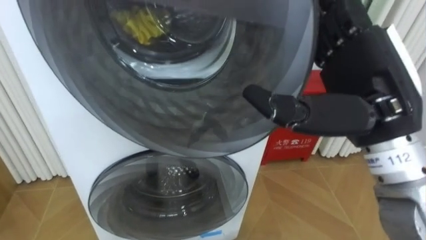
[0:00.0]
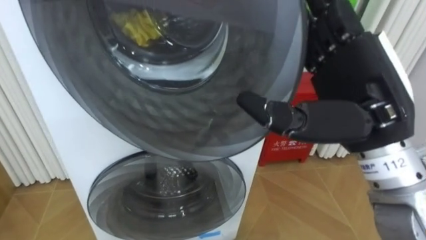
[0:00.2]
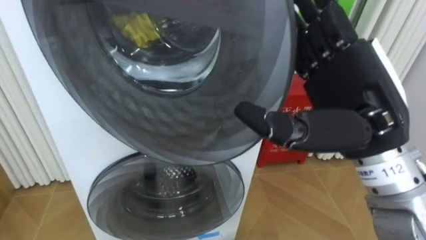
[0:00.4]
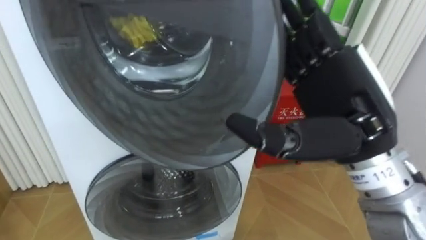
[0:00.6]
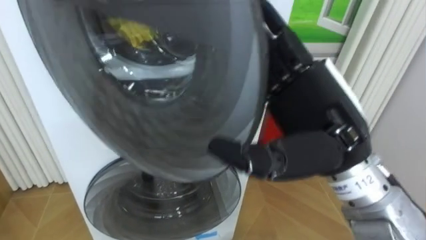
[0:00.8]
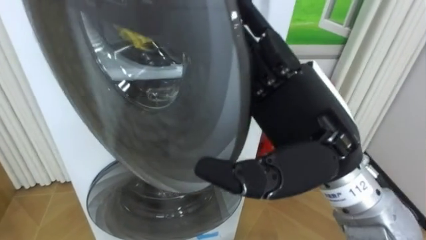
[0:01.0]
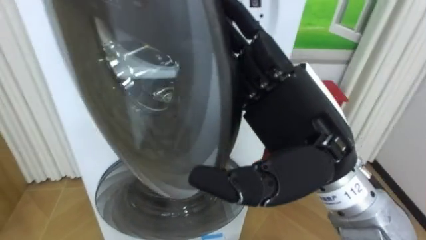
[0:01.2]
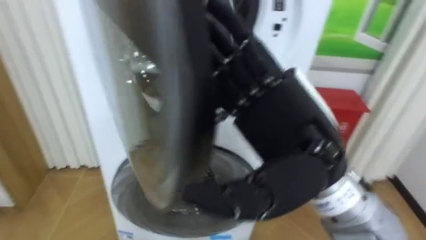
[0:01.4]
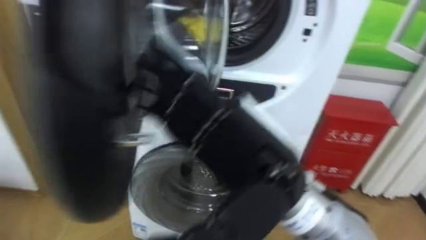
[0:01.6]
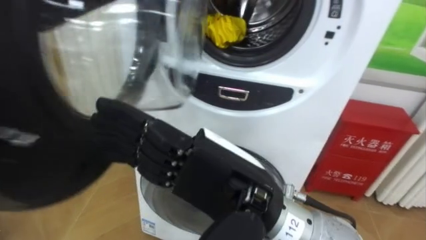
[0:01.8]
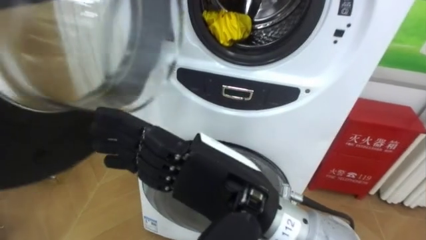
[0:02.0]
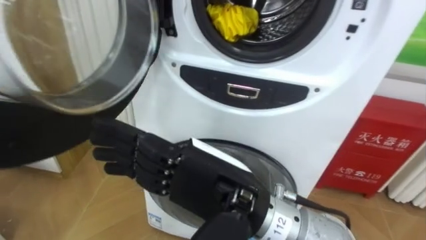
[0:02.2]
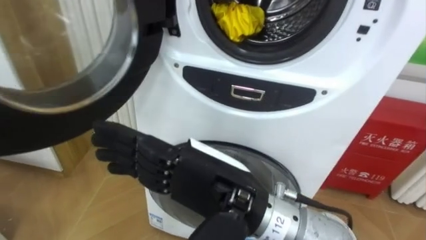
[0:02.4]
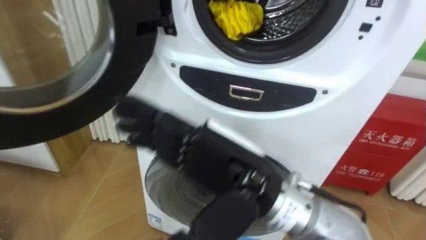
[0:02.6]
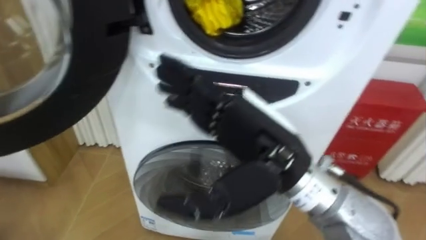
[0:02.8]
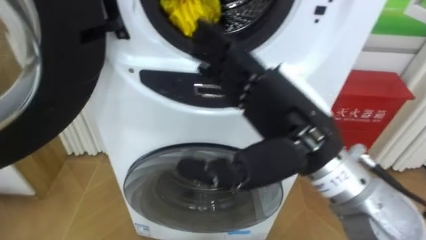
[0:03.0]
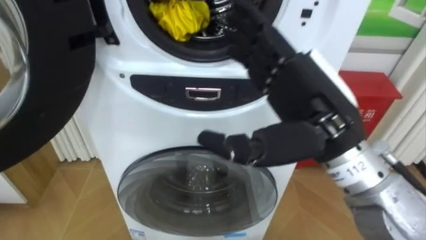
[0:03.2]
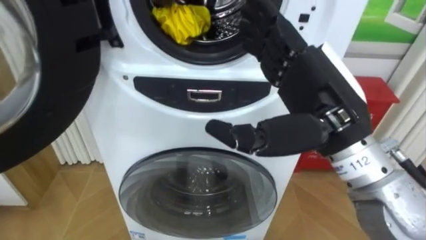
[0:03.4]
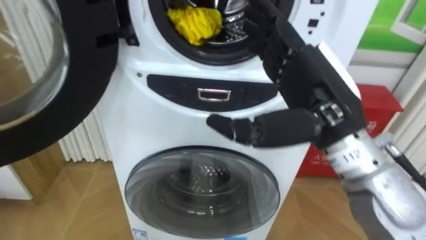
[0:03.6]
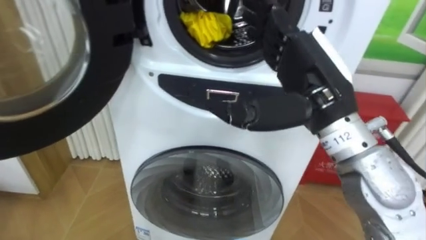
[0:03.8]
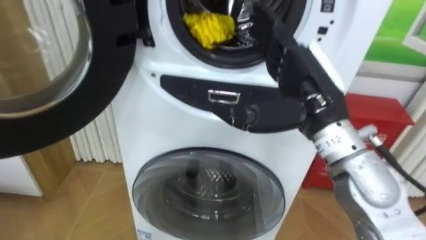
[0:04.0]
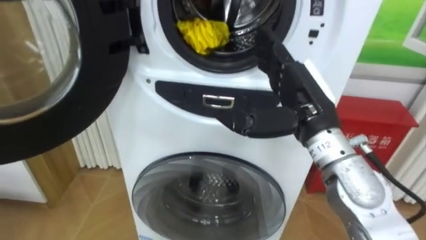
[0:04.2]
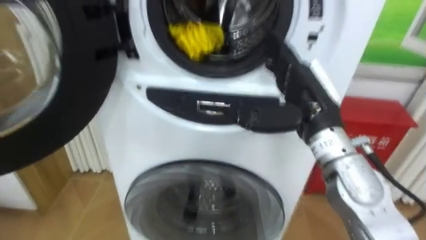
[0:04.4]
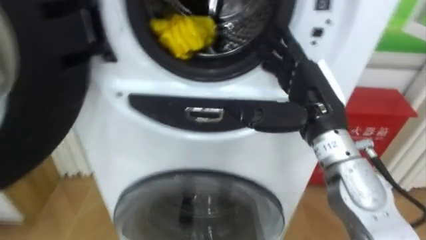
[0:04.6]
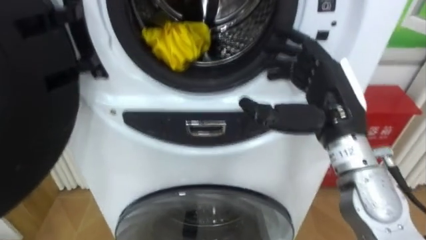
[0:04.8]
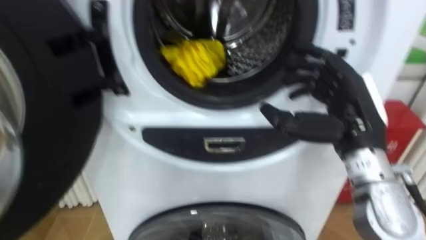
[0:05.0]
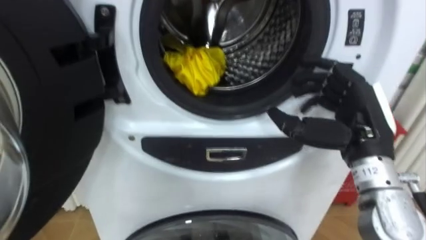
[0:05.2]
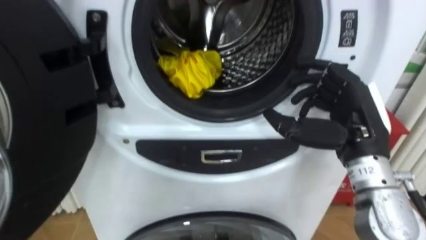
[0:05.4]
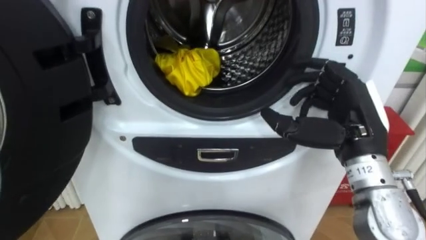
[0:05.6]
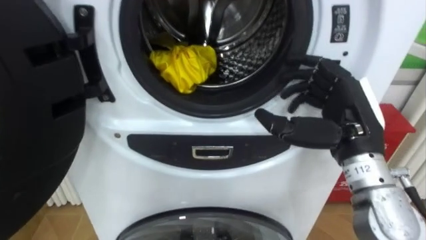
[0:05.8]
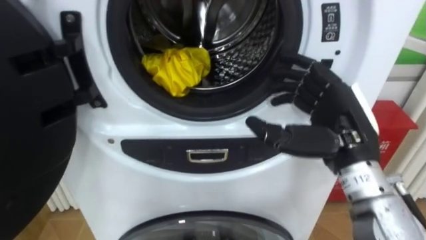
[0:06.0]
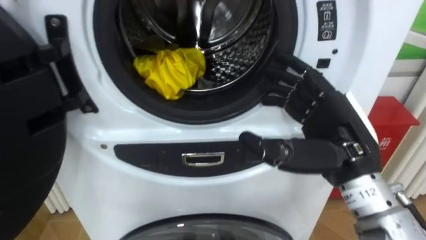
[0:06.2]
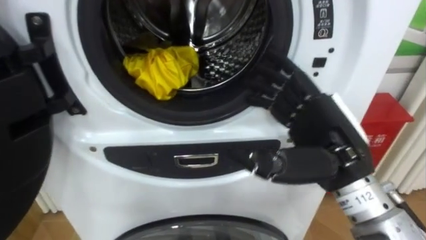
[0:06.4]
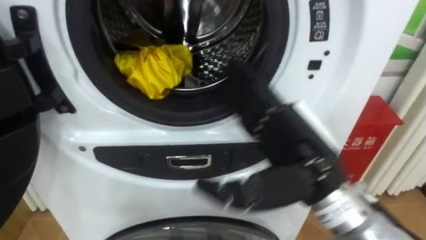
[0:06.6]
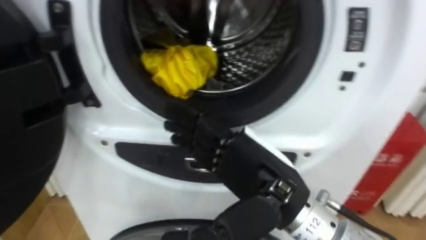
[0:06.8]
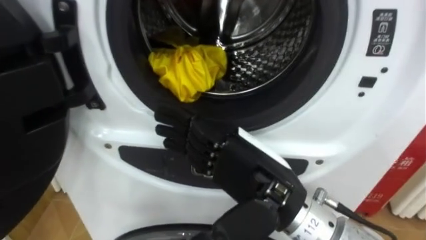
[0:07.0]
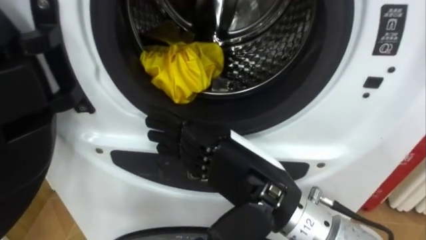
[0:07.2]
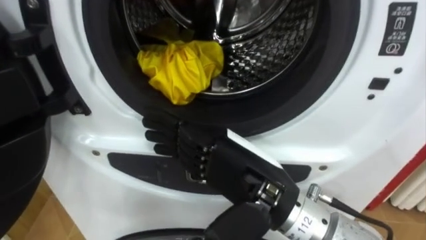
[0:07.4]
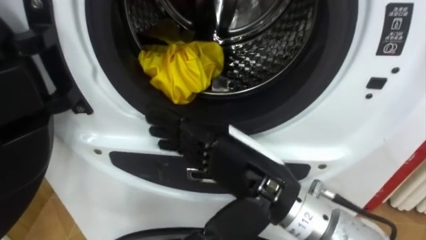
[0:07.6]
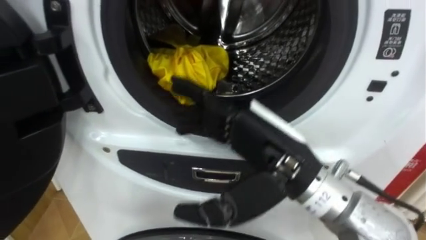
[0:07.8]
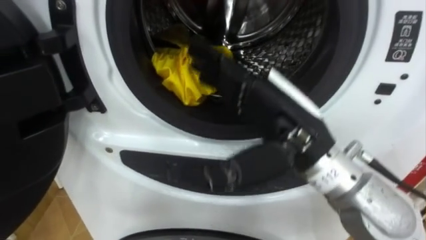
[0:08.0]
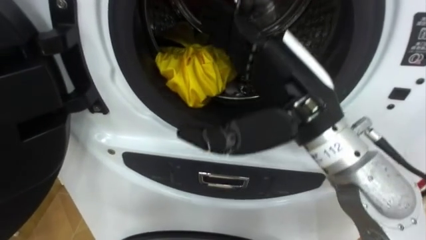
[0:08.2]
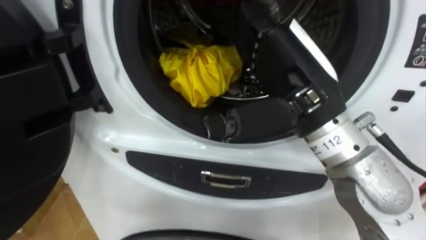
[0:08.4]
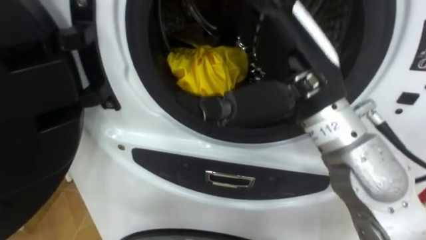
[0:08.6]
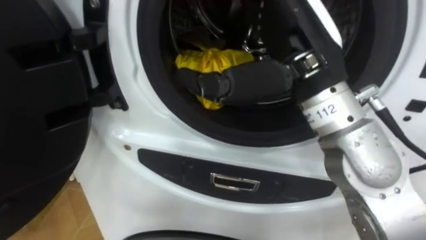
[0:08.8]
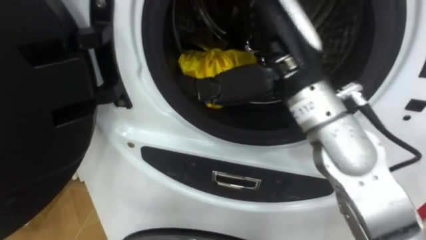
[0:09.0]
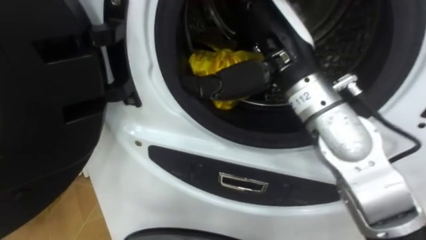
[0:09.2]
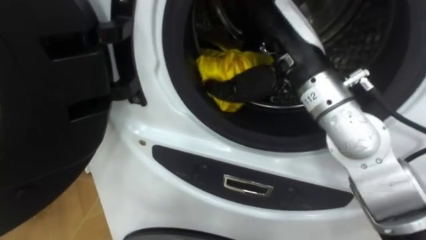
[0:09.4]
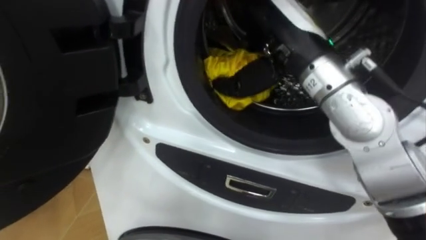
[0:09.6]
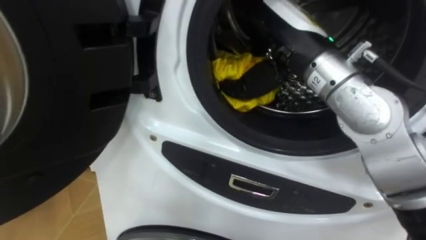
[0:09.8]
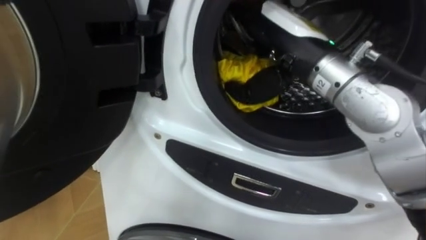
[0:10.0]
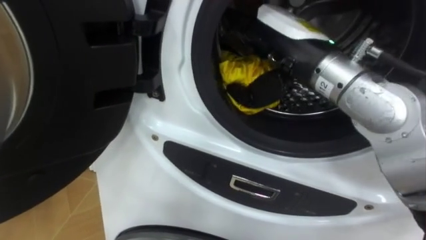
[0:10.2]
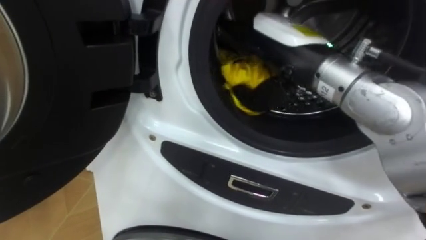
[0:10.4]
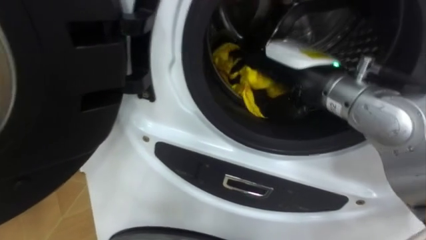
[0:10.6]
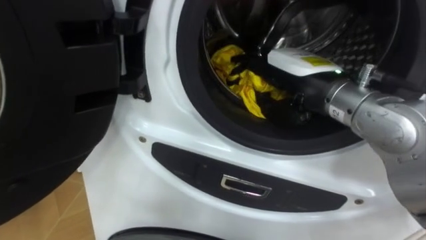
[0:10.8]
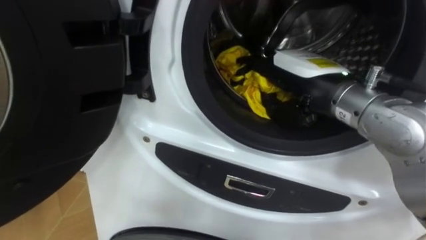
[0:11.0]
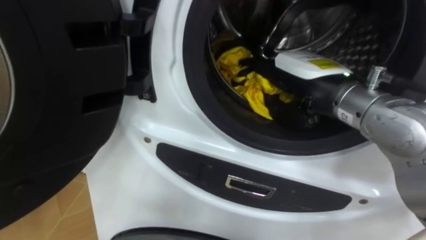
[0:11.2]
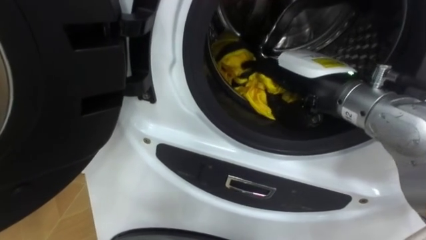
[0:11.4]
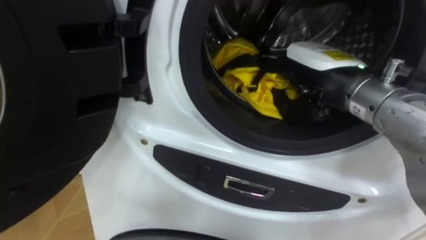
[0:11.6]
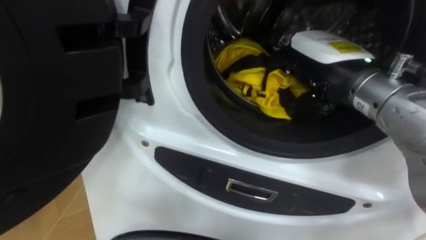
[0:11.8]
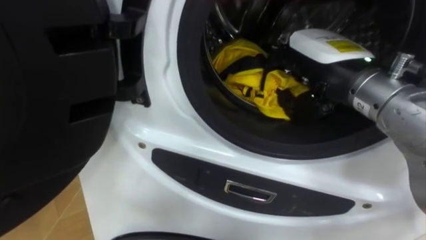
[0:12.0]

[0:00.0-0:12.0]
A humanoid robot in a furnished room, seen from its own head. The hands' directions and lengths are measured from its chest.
Task of the whole recording: Open the washing machine door, take out the yellow clothes, place them in the box on the right, and close the washing machine door.
0:00.0 to 0:01.6: The right hand is displaced to the left by approximately 10 cm.
0:03.0 to 0:04.4: The right hand shifts some 10 cm forward and to the right.
0:04.4 to 0:06.0: The right hand changes place by some 5 cm.
0:06.0 to 0:07.6: The right hand moves to the left and backward, some 15 cm.
0:07.6 to 0:09.0: The right hand moves upward and forward, roughly 15 cm.
0:10.4 to 0:12.0: The right hand goes approximately 5 cm to the right, and closes its fingers.

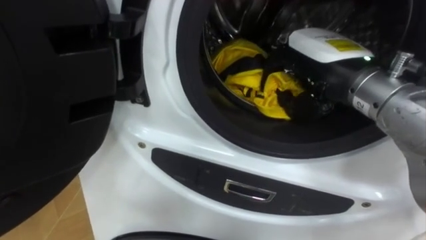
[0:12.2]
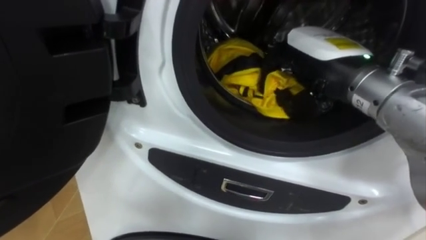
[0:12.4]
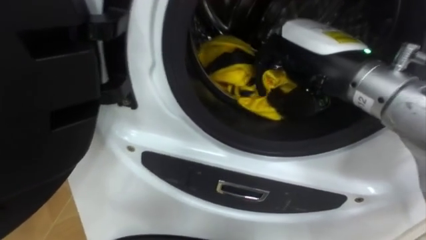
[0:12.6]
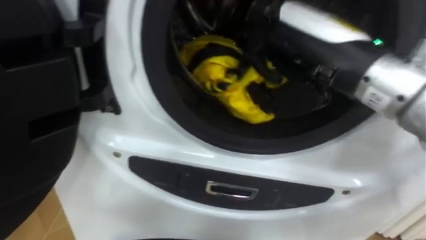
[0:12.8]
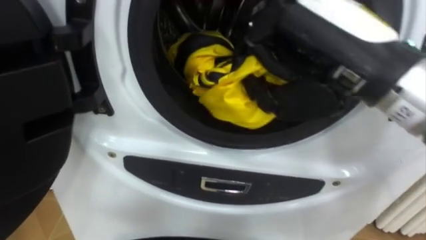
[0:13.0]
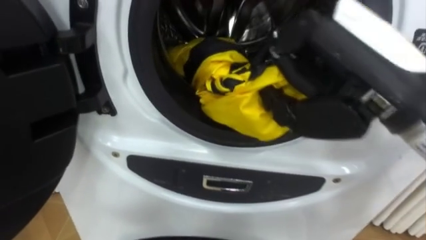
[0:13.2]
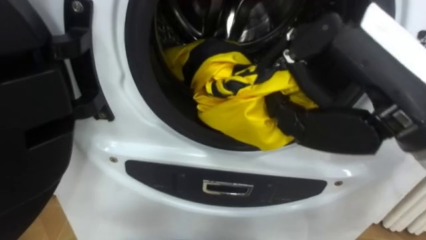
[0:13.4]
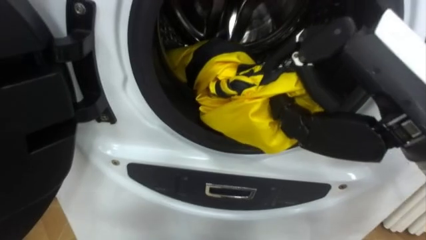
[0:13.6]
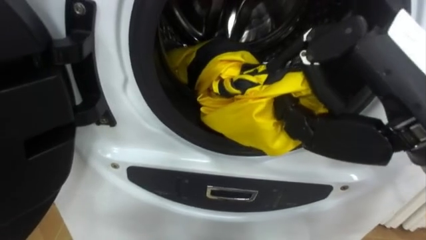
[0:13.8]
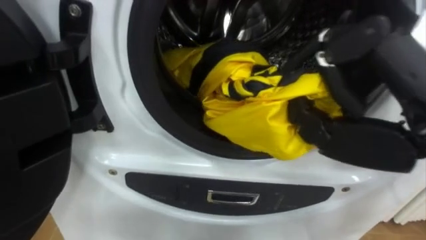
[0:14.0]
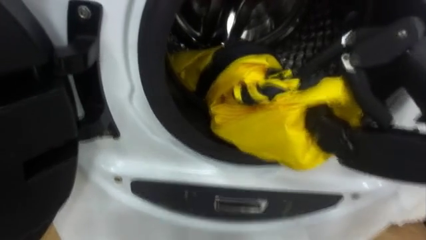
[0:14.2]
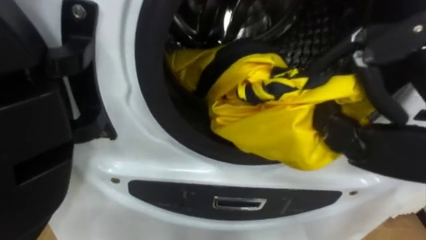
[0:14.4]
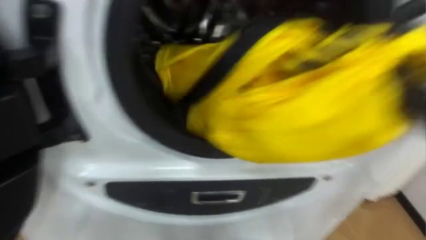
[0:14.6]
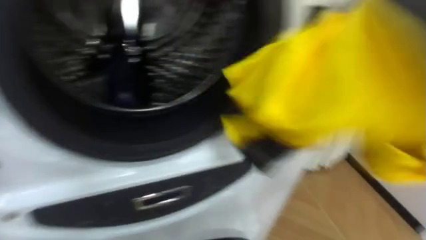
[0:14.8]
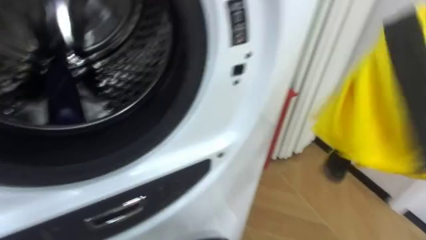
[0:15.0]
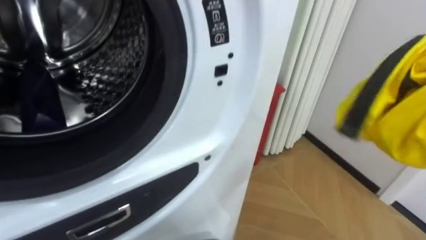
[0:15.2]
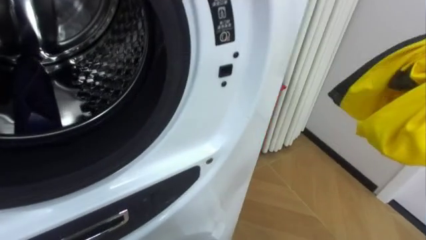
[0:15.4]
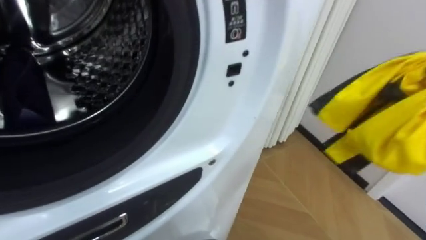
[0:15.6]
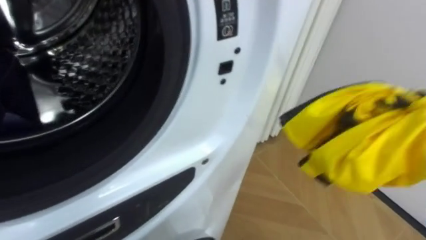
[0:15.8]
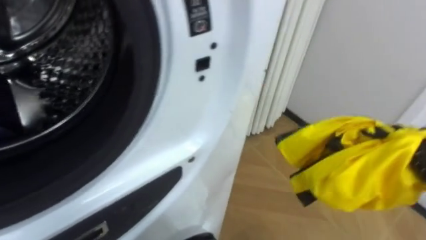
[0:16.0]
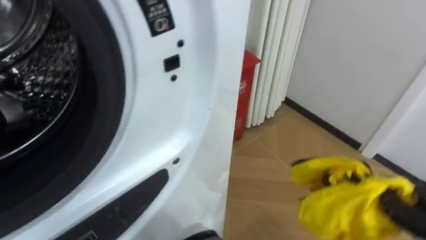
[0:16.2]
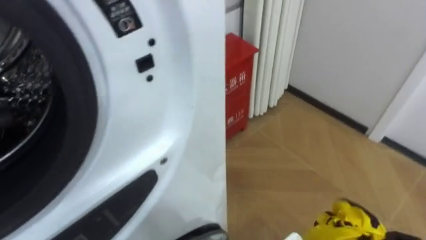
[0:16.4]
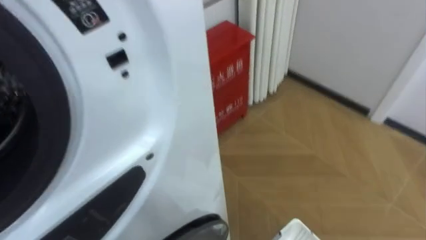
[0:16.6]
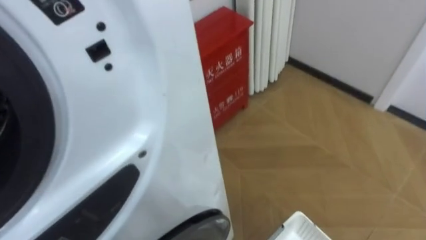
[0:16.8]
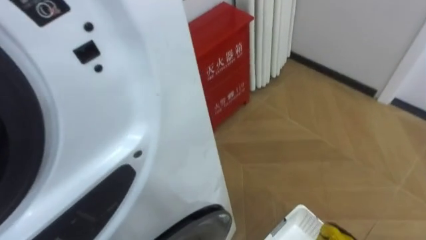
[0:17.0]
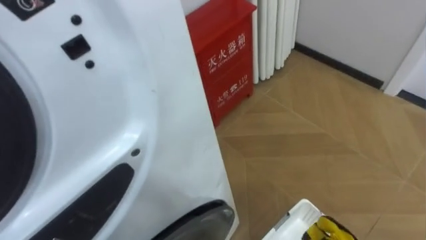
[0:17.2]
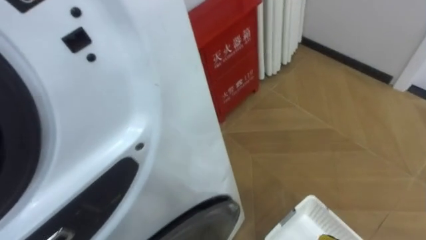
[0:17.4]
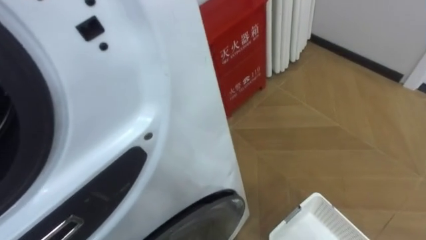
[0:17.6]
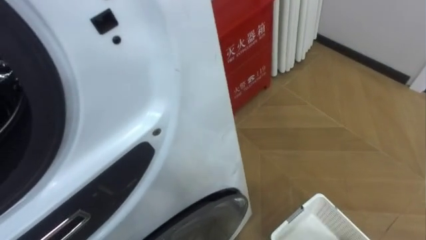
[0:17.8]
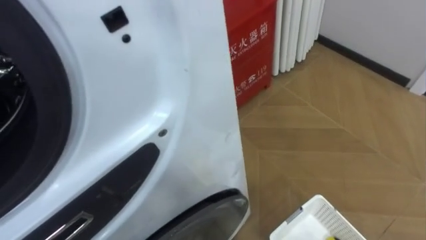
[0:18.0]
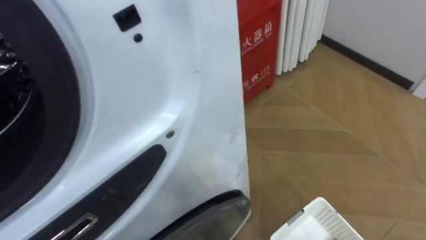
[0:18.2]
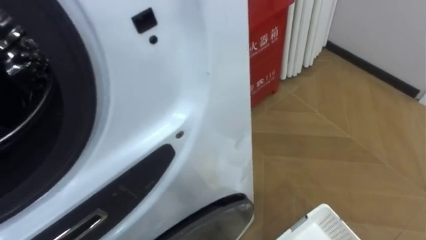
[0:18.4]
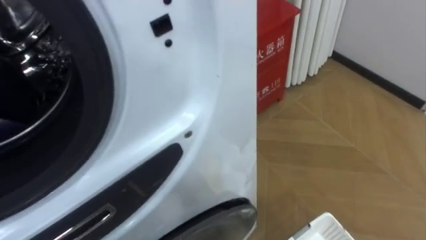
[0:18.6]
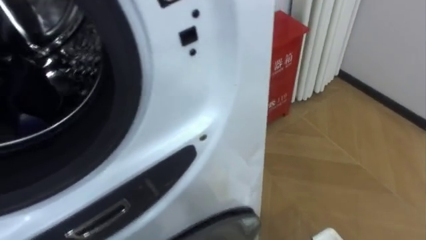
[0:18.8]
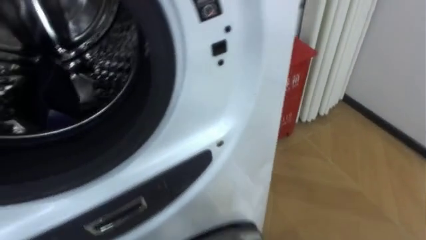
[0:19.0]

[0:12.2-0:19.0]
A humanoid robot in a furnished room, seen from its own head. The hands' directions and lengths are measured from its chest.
Task of the whole recording: Open the washing machine door, take out the yellow clothes, place them in the box on the right, and close the washing machine door.
0:12.2 to 0:13.6: The right hand is displaced backward by approximately 10 cm.
